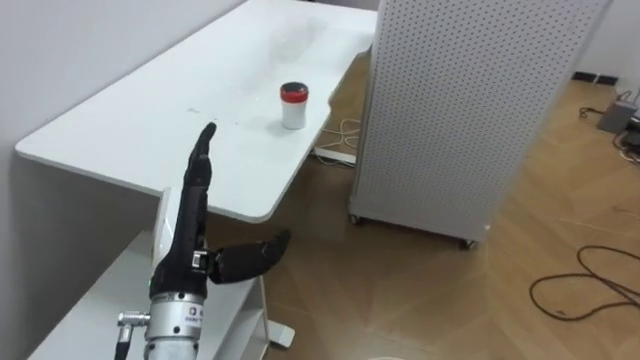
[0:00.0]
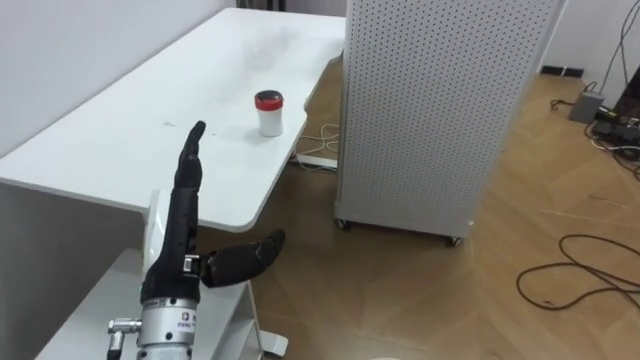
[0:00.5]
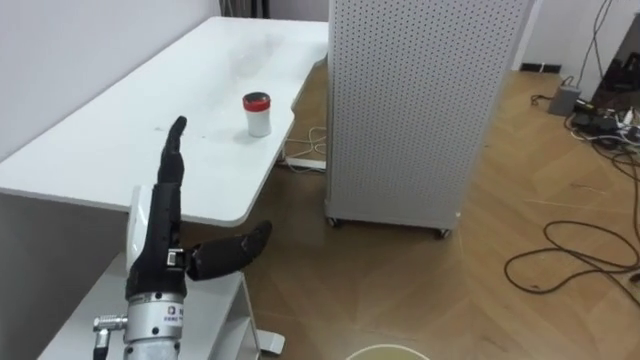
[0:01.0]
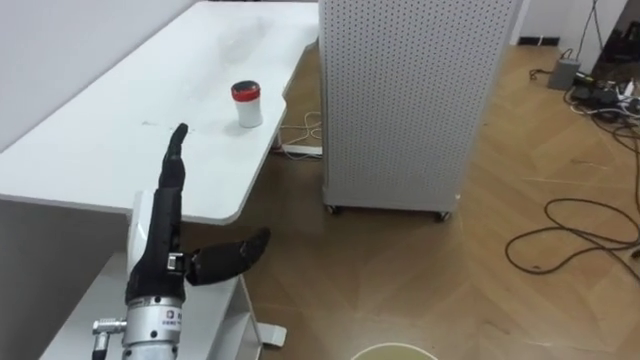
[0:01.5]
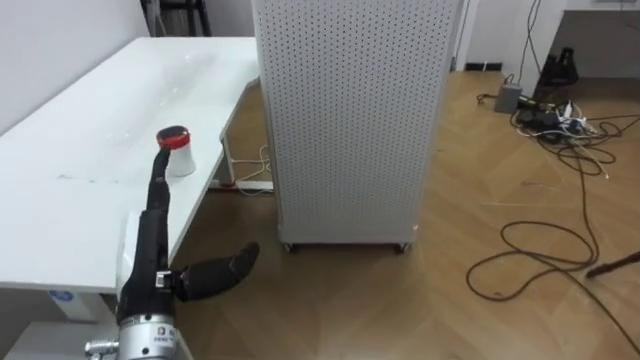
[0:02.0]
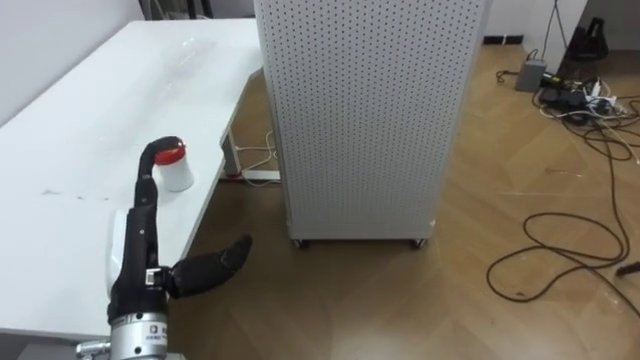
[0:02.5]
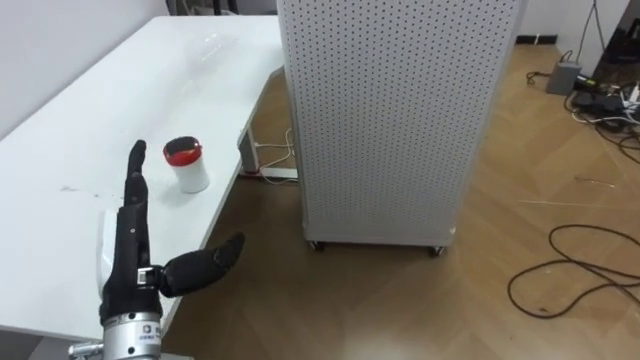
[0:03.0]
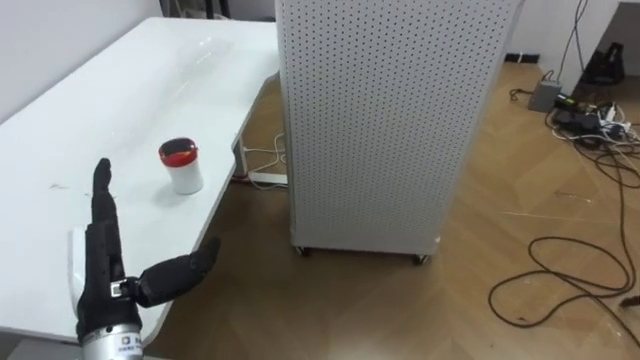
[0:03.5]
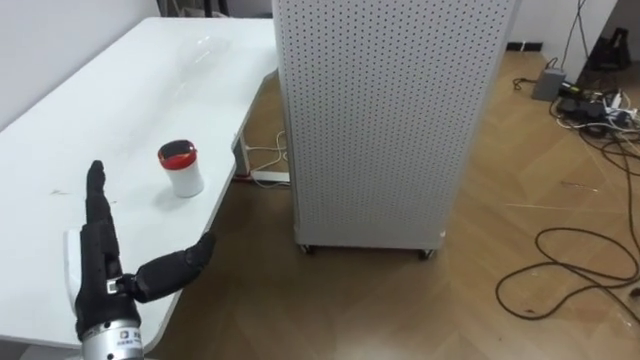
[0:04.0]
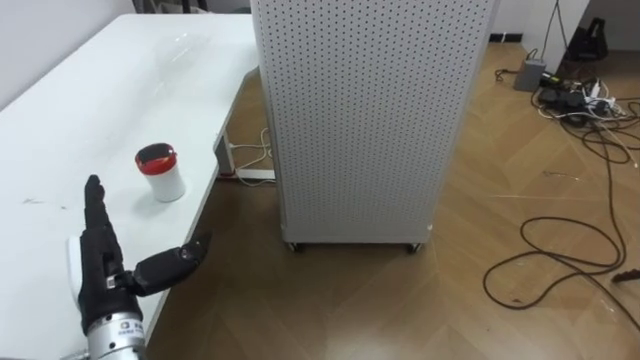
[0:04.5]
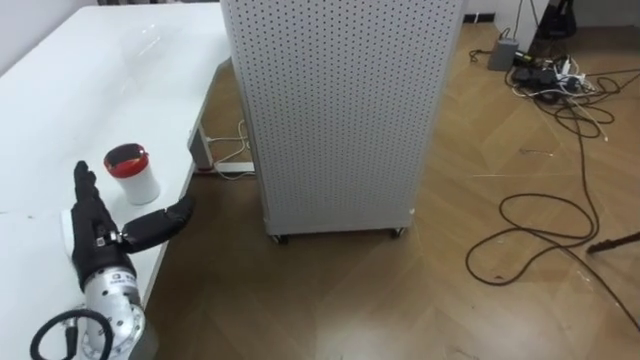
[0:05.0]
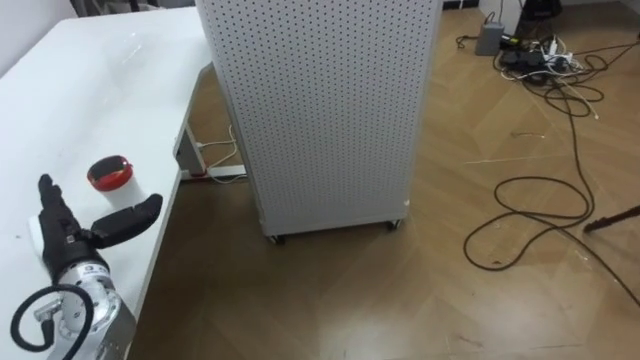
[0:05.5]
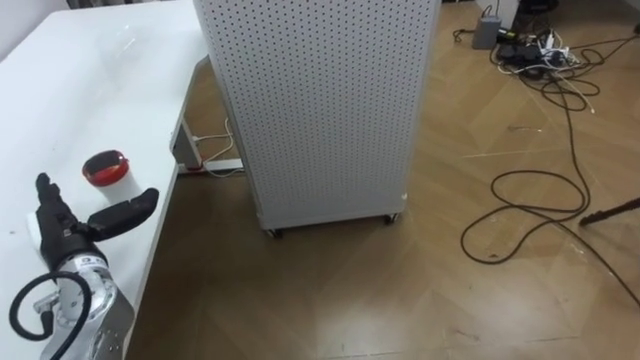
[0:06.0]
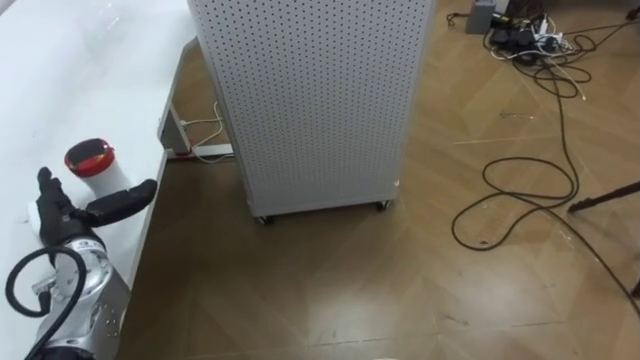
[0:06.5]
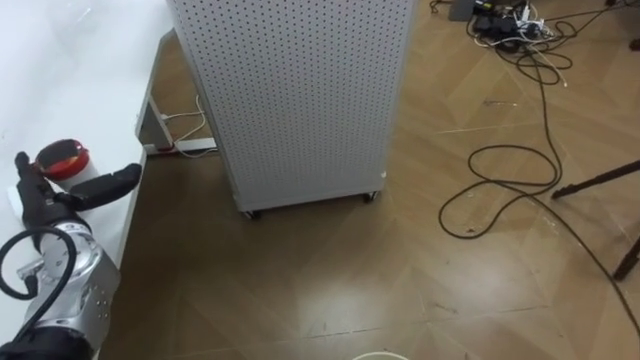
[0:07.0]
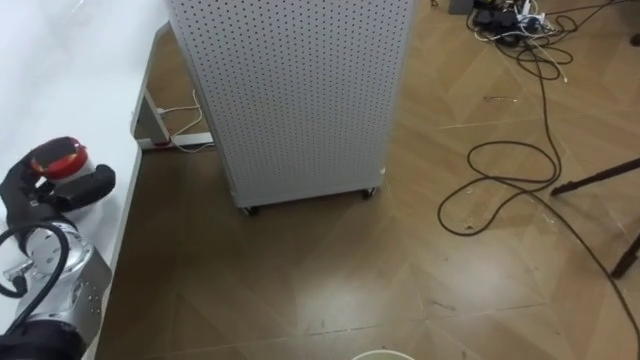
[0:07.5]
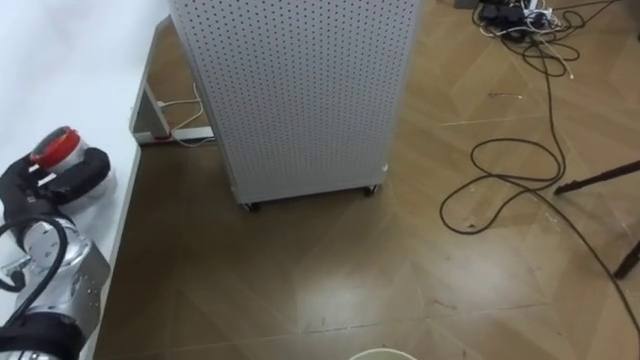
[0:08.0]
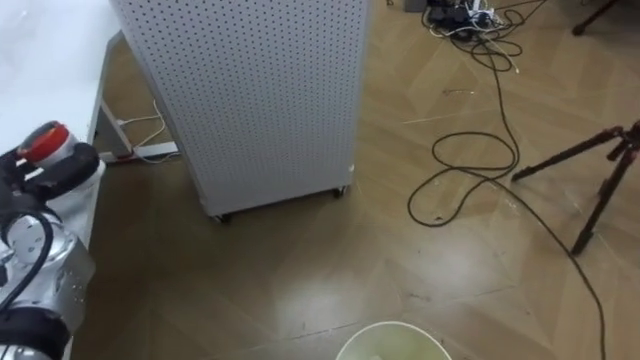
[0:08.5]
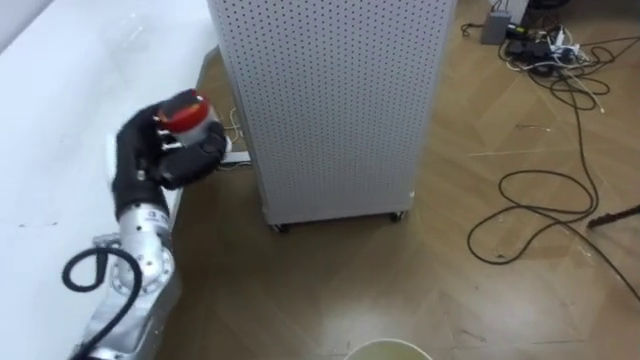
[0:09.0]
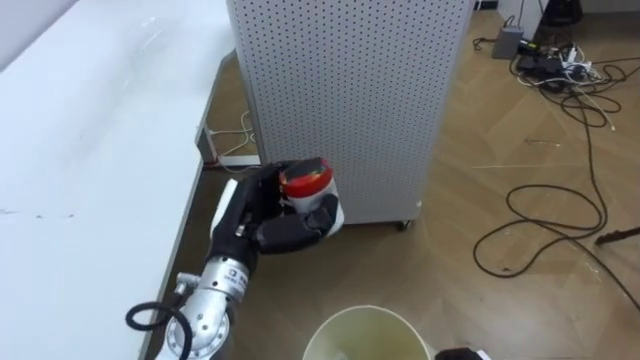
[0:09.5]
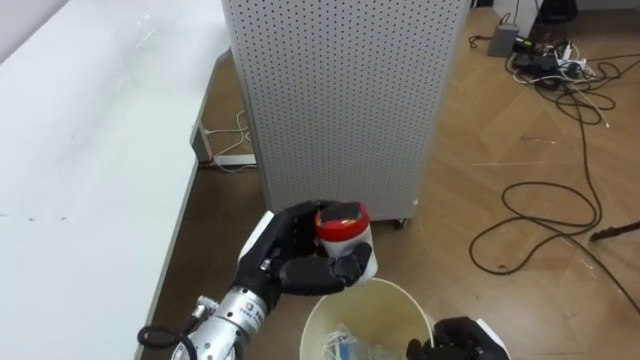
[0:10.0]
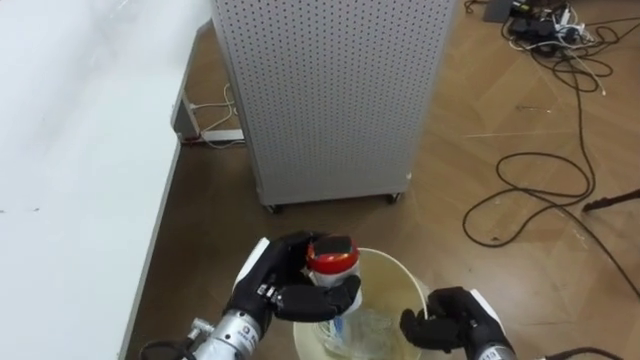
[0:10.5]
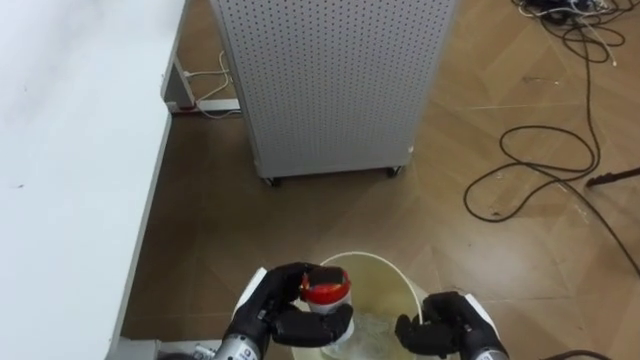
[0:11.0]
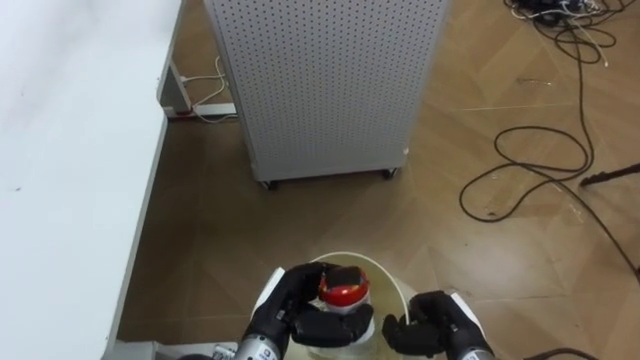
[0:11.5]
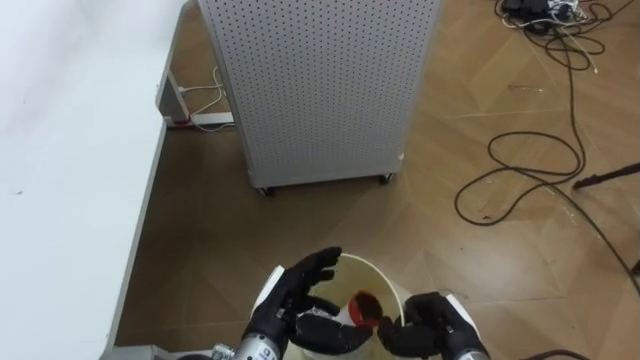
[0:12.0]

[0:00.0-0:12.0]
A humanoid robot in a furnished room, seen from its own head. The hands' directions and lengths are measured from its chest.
Task of the whole recording: Pick up the light blue package, the candy box, and the dark blue package separately, and put them into the trash can held in your right hand.
0:00.0 to 0:02.0: The robot faces some 15 degrees further to its right.
0:04.0 to 0:06.0: The left hand is displaced forward and to the left by roughly 10 cm.
0:06.0 to 0:08.0: The left hand shifts by roughly 5 cm, and closes up.
0:08.0 to 0:10.0: The left hand shifts roughly 30 cm to the right.
0:10.0 to 0:12.0: The left hand moves downward, some 10 cm. Meanwhile the right hand changes place by approximately 5 cm.

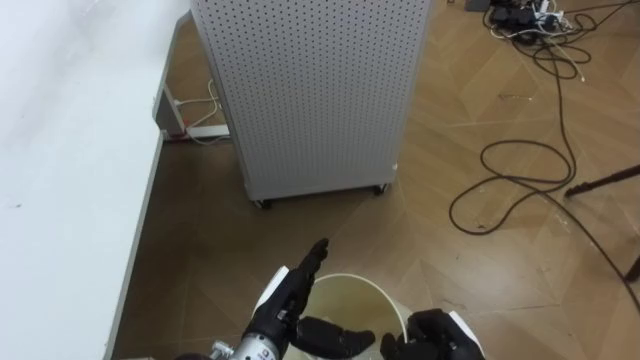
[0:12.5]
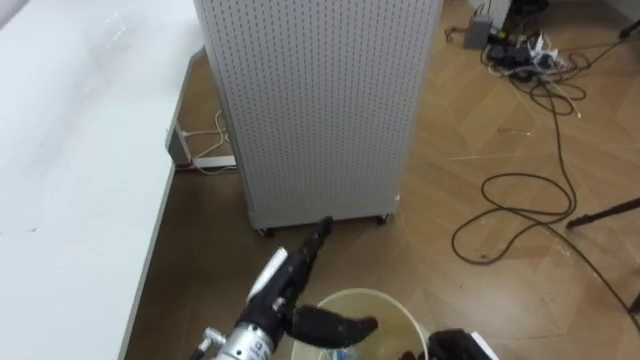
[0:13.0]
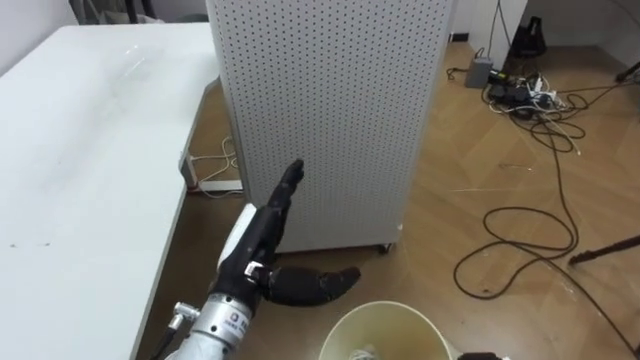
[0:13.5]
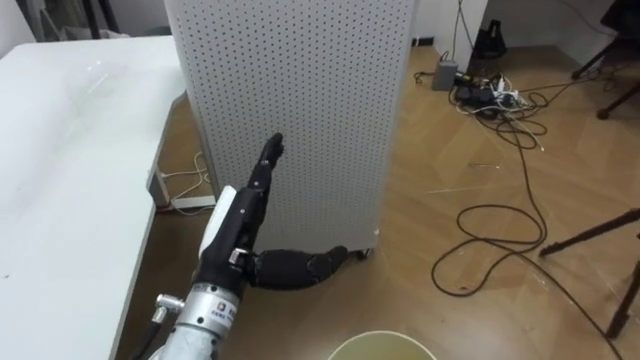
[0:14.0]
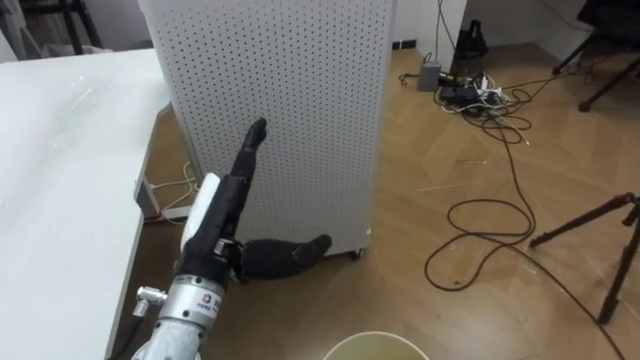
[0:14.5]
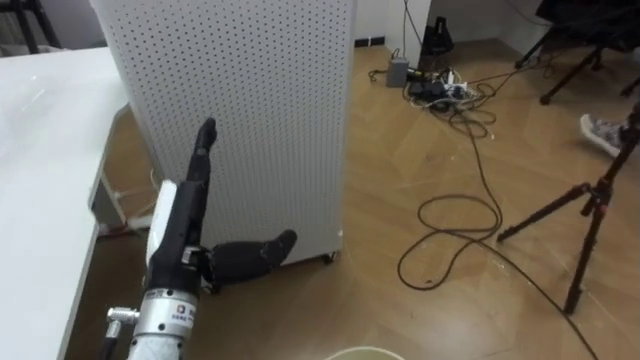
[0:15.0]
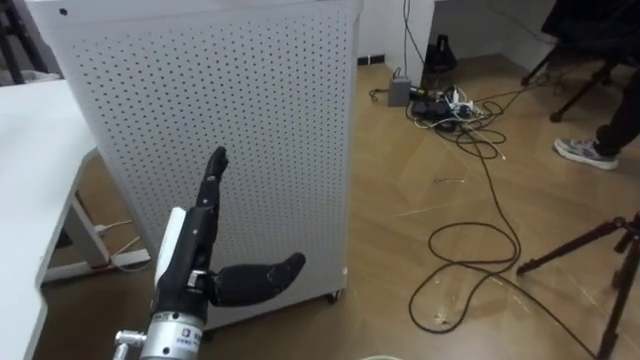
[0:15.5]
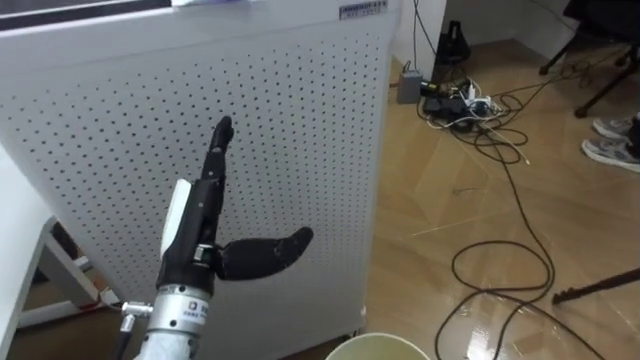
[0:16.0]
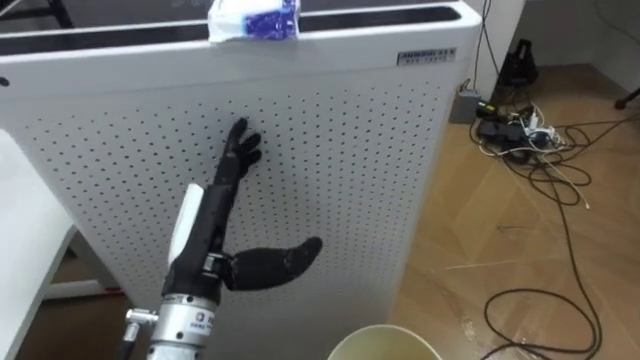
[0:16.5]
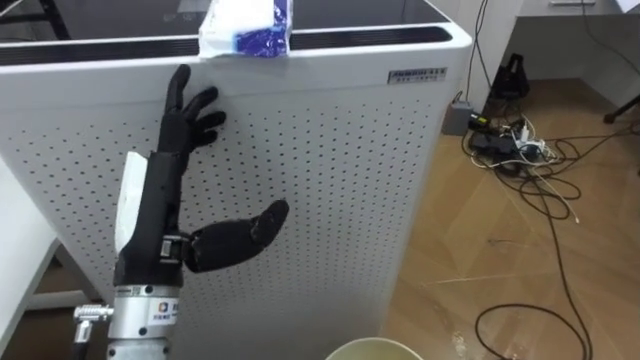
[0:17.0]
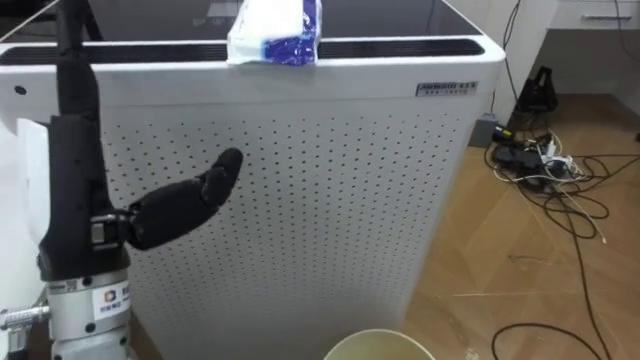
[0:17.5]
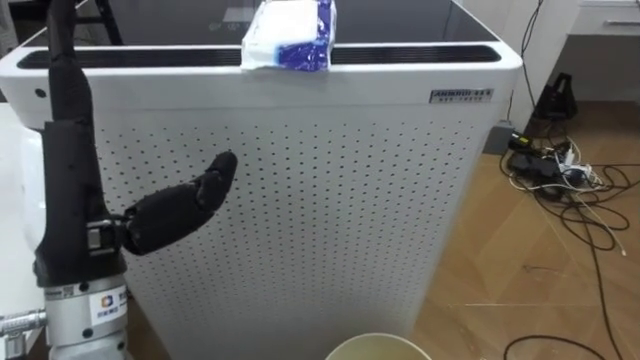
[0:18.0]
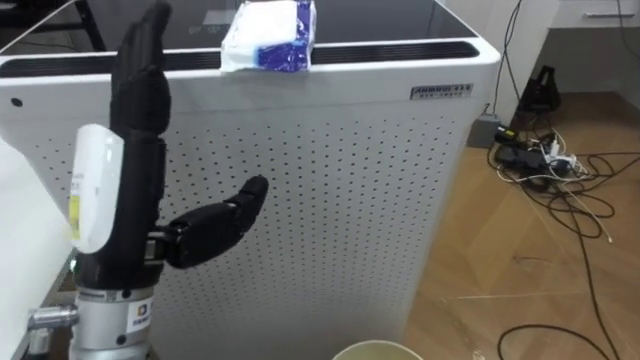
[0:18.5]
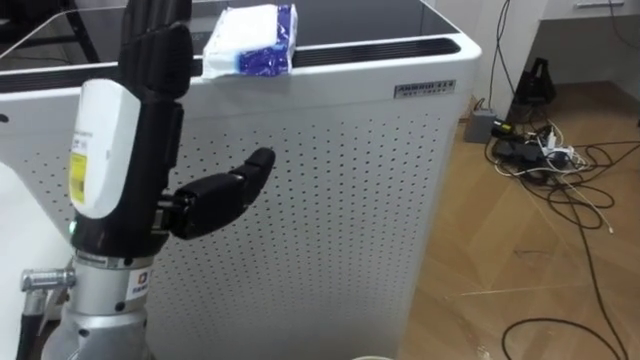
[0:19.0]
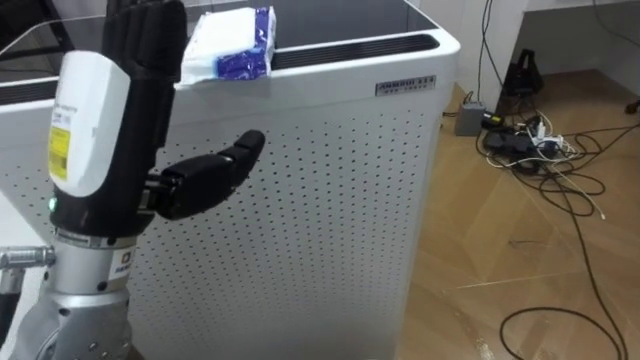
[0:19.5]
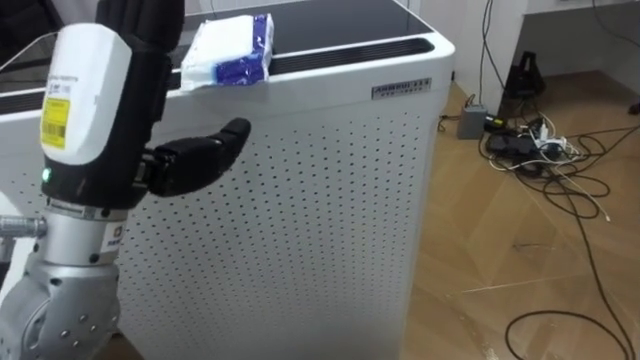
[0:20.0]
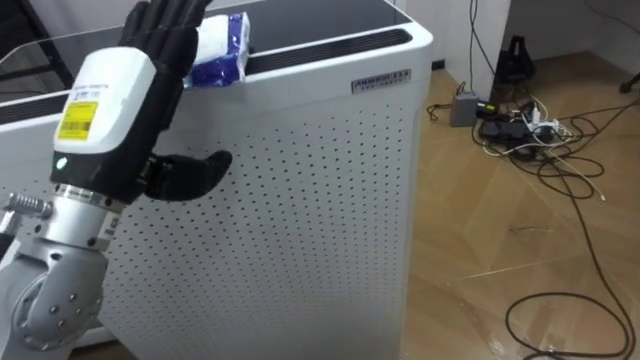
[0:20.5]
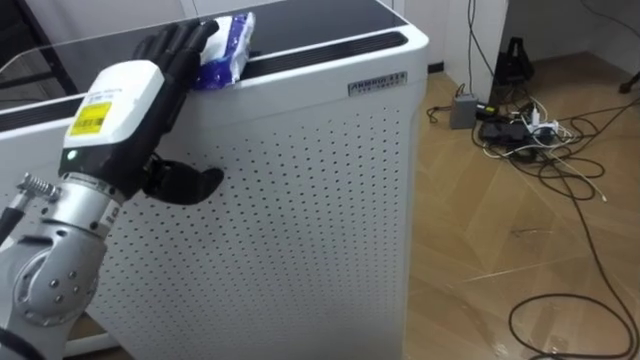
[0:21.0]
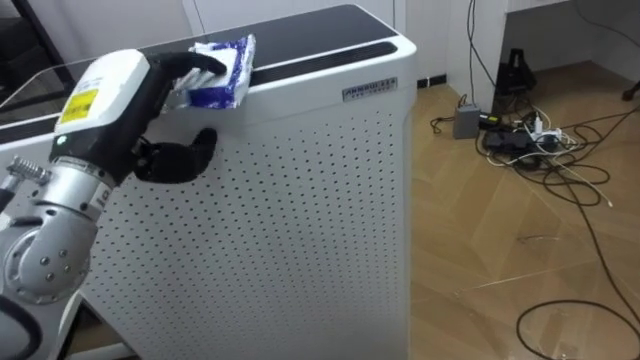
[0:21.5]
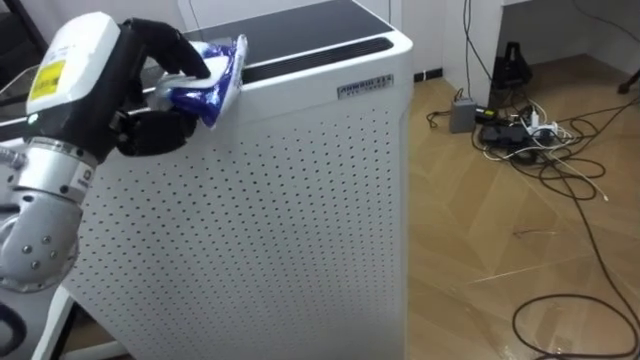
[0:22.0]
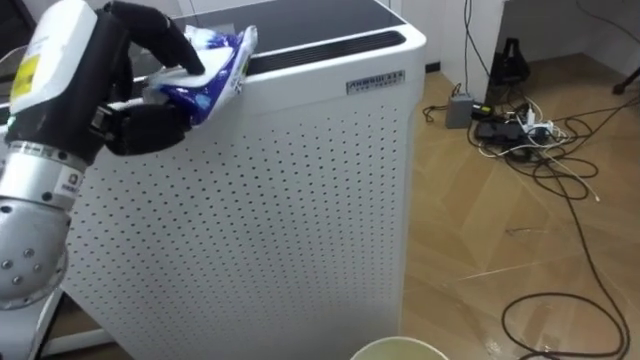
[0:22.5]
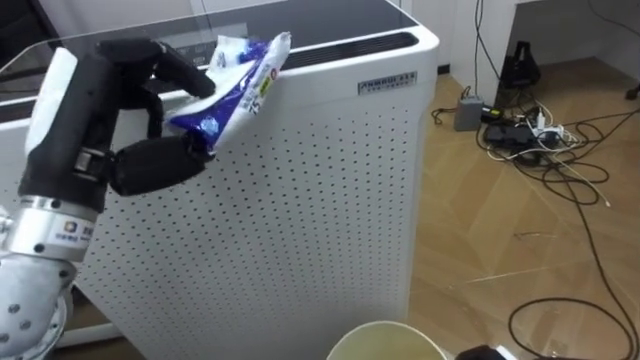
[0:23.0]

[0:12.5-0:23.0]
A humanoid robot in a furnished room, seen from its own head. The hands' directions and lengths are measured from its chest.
Task of the whole recording: Pick up the light blue package, the candy box, and the dark blue package separately, and put them into the trash can held in your right hand.
0:12.5 to 0:14.5: The left hand goes approximately 15 cm upward and to the left.
0:16.5 to 0:19.0: The left hand travels upward by roughly 15 cm.
0:19.0 to 0:21.0: The left hand shifts about 10 cm forward.
0:21.0 to 0:23.0: The left hand closes up.
